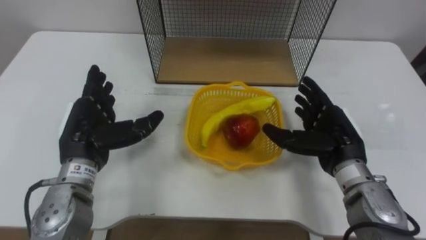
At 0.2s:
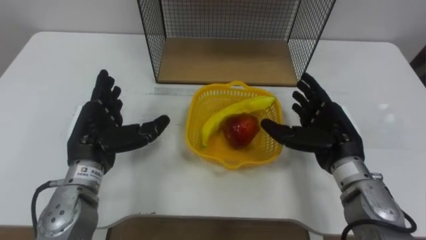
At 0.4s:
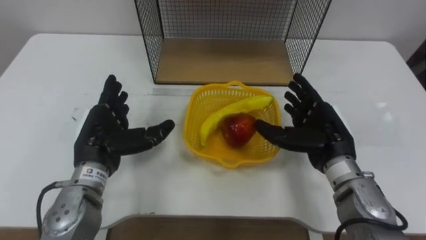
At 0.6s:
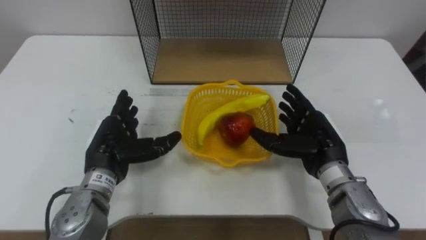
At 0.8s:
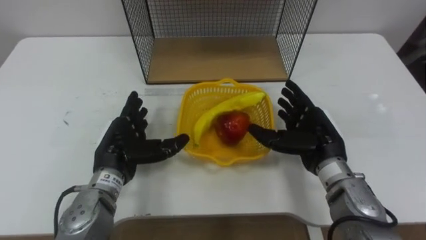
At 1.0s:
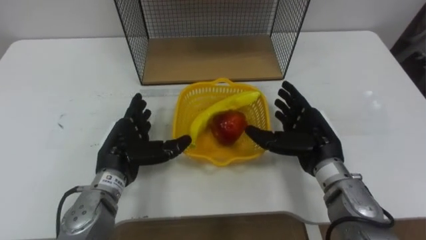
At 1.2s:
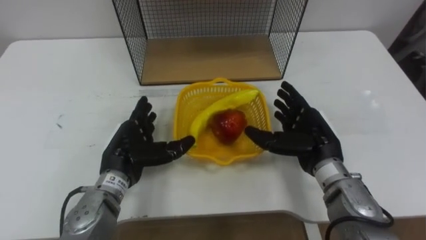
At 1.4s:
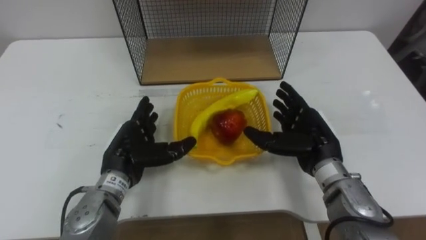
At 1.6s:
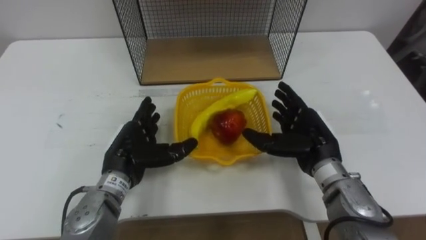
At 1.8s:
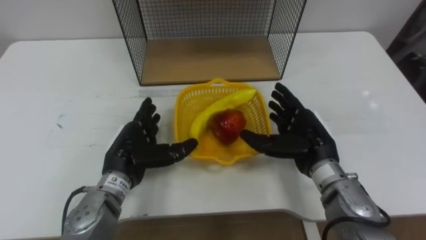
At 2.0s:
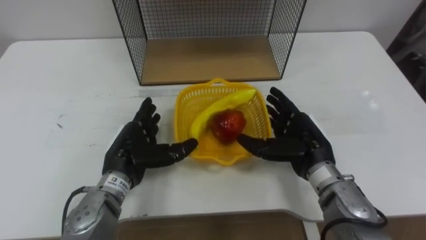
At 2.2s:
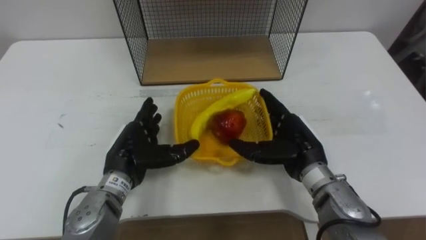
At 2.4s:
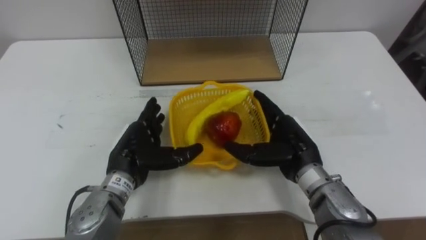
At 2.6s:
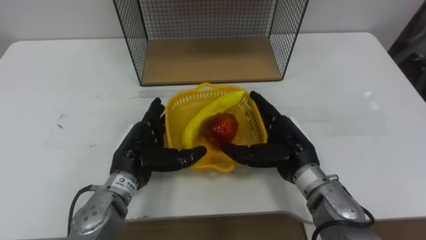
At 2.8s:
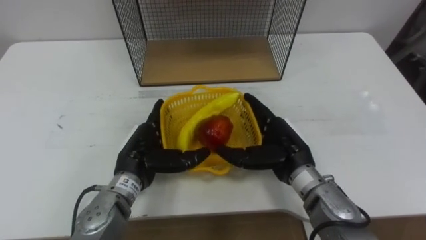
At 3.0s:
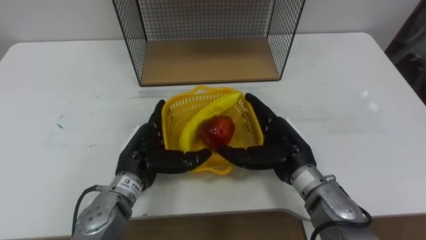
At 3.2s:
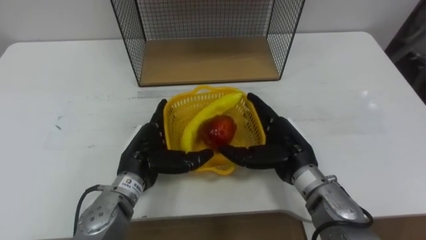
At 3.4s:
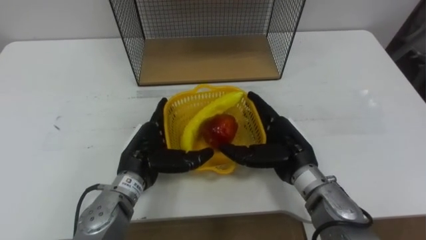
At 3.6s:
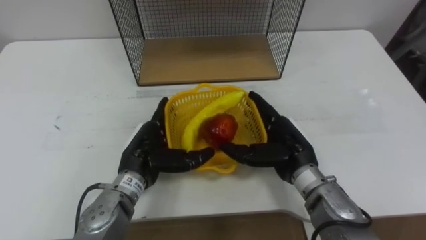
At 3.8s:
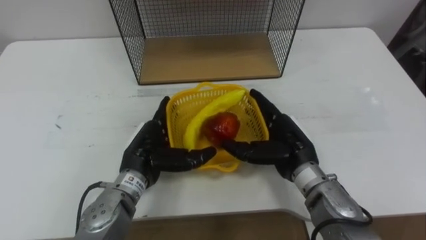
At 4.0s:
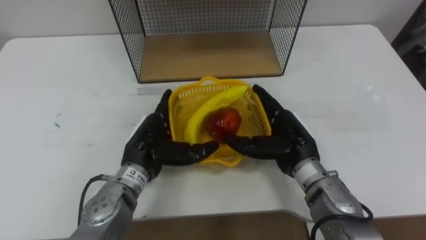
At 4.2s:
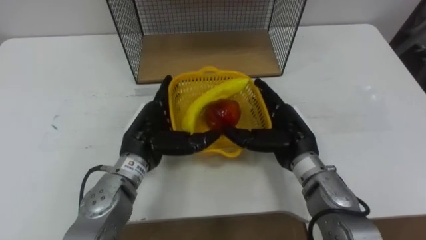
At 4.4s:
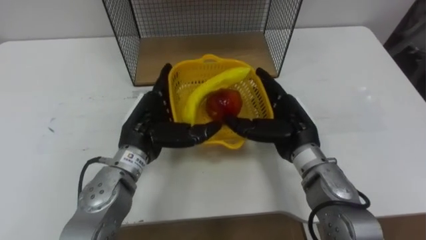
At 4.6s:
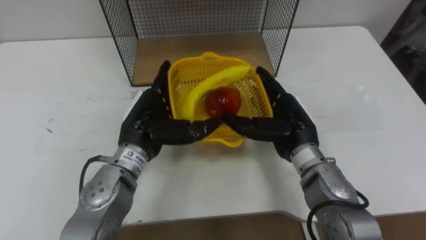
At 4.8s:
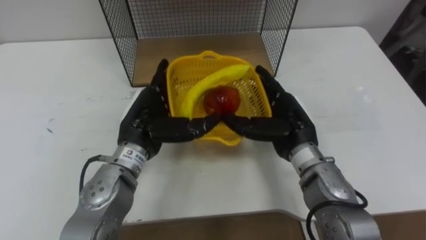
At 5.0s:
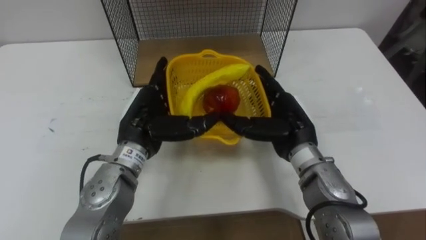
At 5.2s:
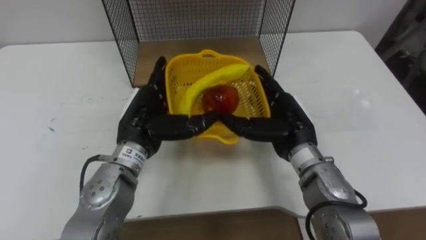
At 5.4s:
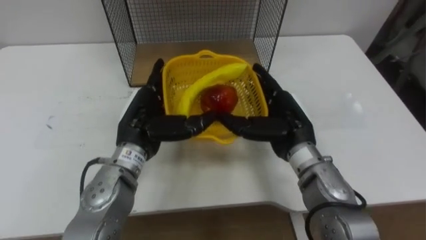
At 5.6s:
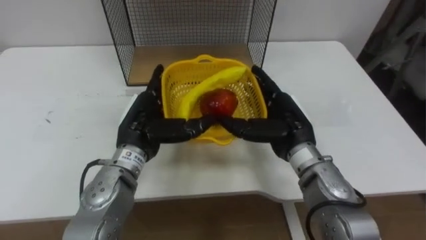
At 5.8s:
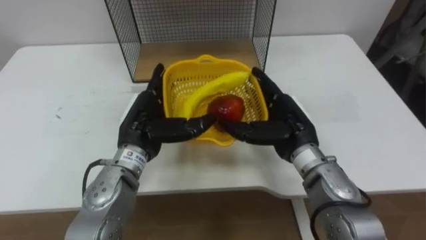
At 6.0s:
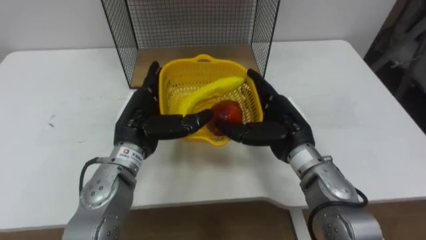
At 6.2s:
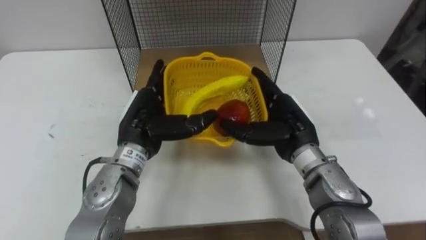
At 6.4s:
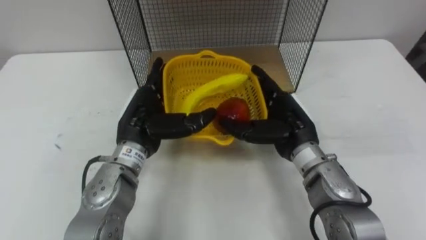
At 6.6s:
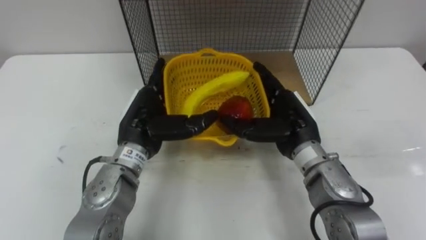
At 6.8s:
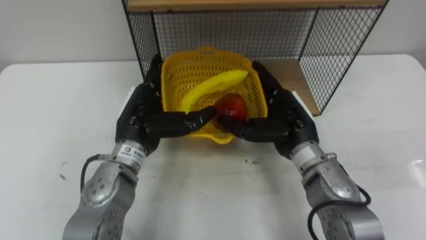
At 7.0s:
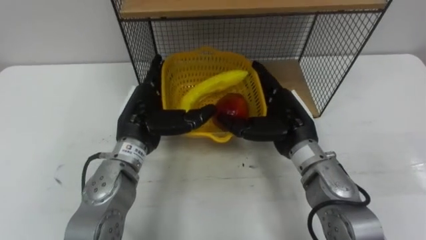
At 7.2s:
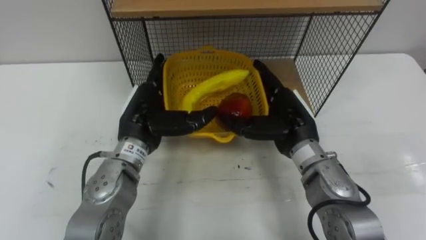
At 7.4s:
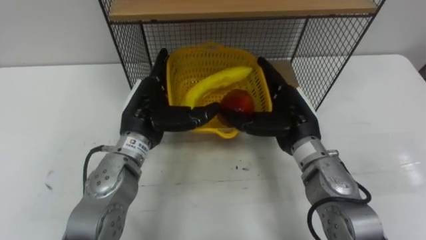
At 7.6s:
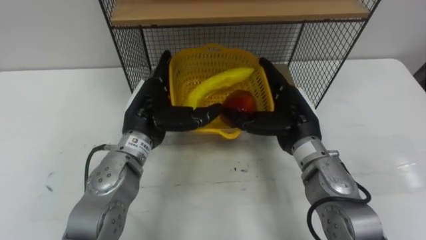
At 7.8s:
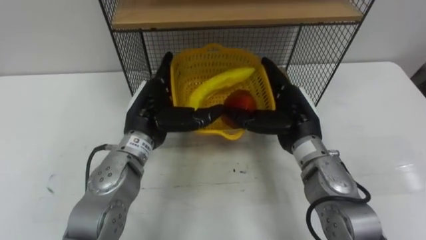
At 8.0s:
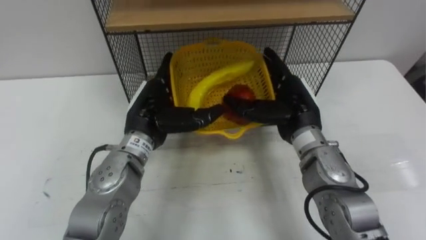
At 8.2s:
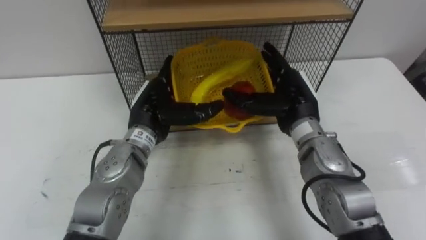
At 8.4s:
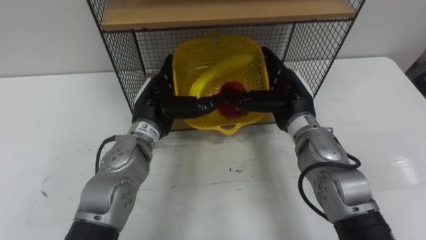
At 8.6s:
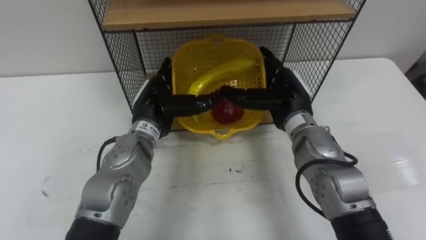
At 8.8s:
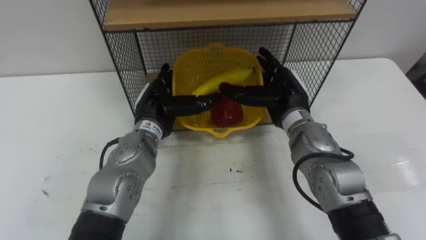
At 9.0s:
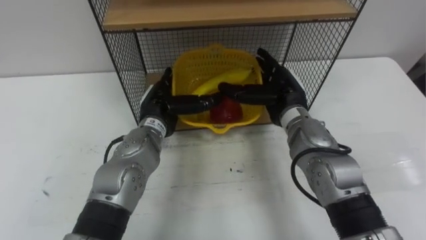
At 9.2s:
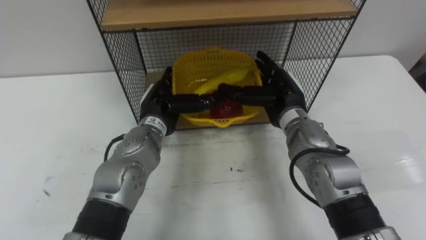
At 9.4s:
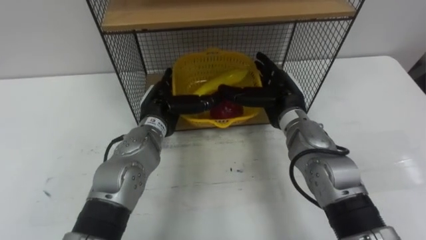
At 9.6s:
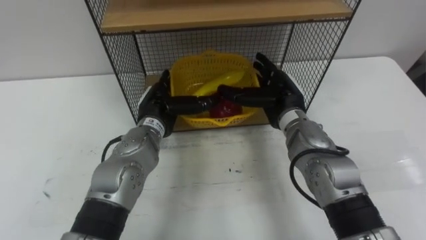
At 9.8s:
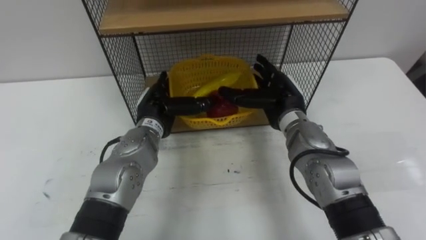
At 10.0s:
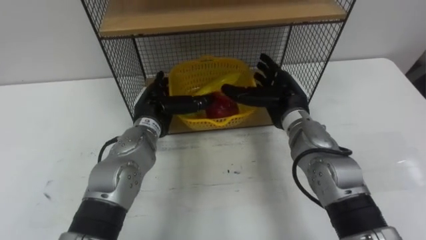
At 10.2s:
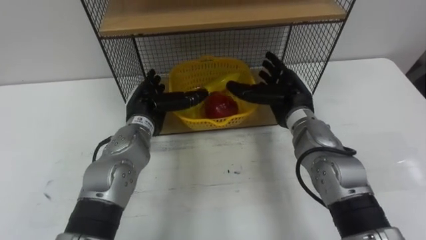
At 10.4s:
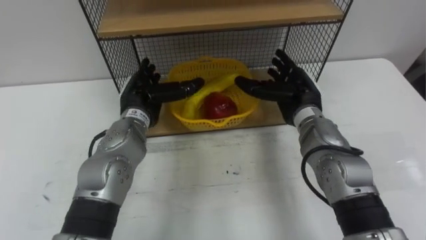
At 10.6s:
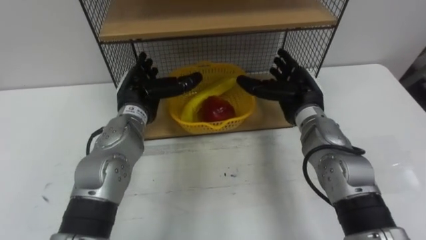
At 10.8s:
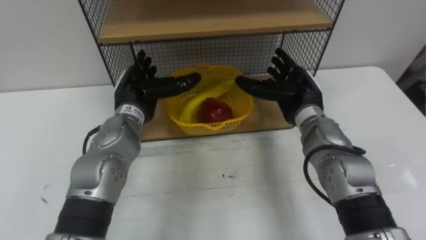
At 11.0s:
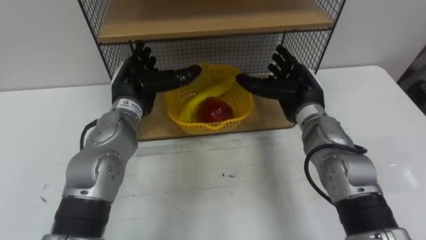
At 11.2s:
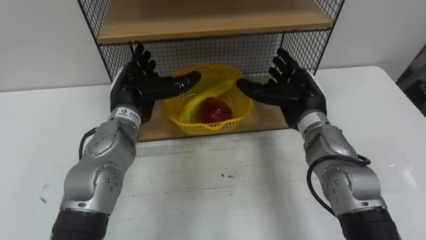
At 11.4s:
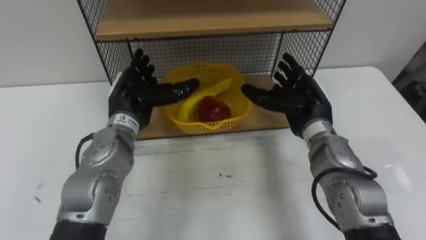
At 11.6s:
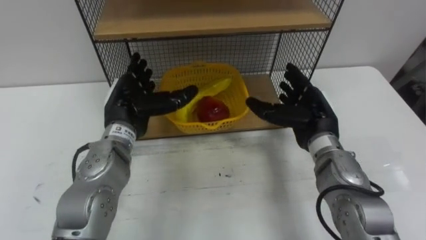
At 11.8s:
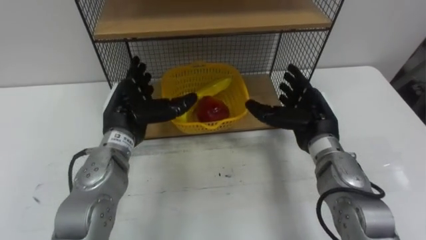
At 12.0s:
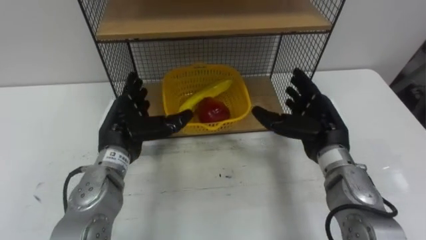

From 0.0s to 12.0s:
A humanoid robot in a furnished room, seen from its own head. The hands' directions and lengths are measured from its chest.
Task of the whole recording: Put the fruit on the table into the basket, then place the basket on the shelf.
From 0.0s to 1.6s: The left hand shifts approximately 10 cm downward and to the right.
From 1.6s to 3.0s: The right hand is displaced to the left by about 5 cm.
From 3.0s to 4.4s: The left hand is displaced upward by some 5 cm.
From 7.6s to 9.0s: The right hand shifts roughly 5 cm forward; the left hand shifts by roughly 5 cm.
From 10.4s to 12.0s: The hands both shift backward by some 5 cm.

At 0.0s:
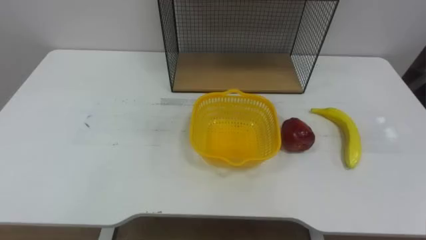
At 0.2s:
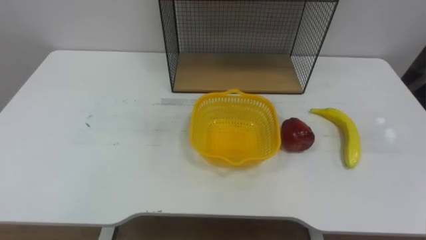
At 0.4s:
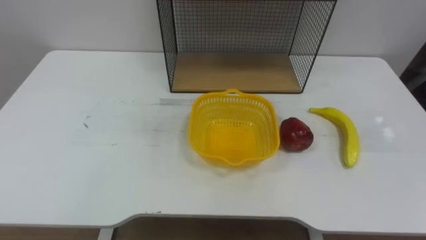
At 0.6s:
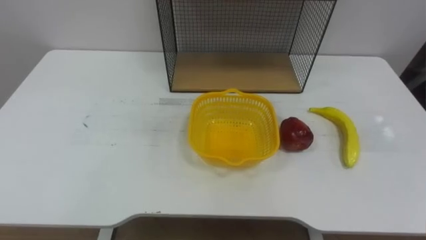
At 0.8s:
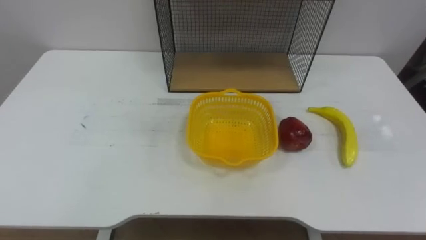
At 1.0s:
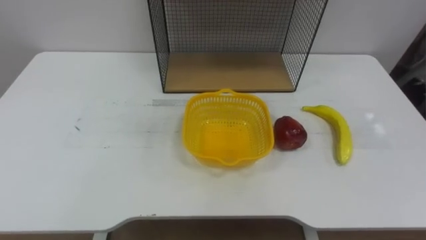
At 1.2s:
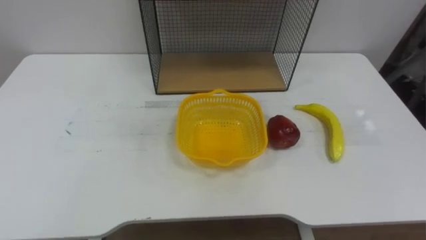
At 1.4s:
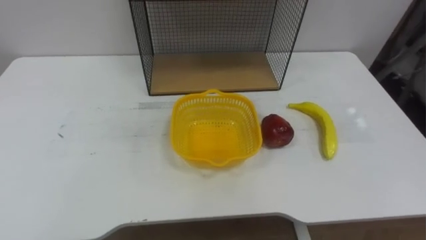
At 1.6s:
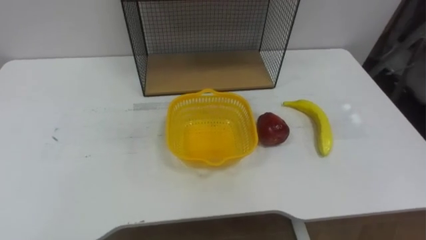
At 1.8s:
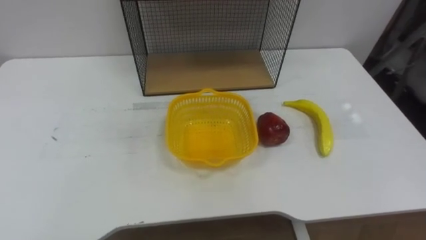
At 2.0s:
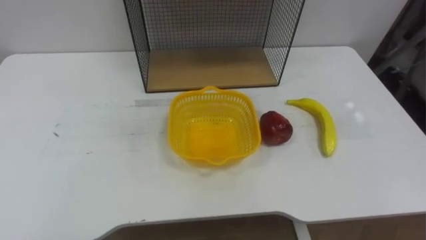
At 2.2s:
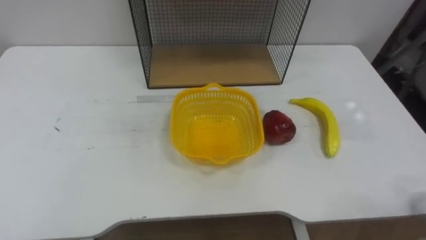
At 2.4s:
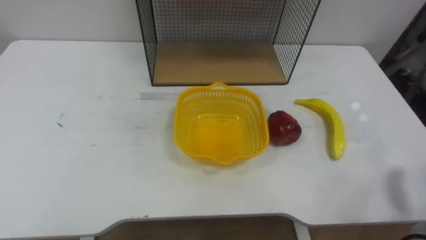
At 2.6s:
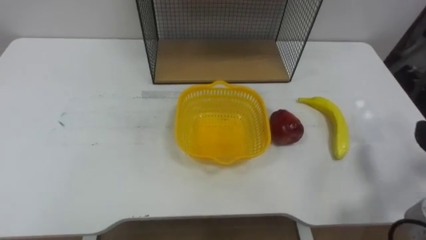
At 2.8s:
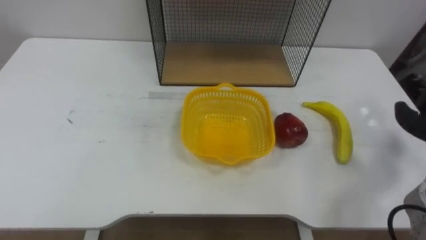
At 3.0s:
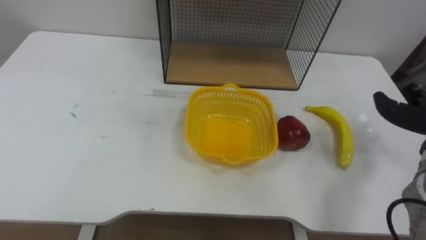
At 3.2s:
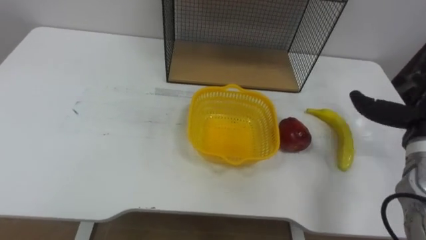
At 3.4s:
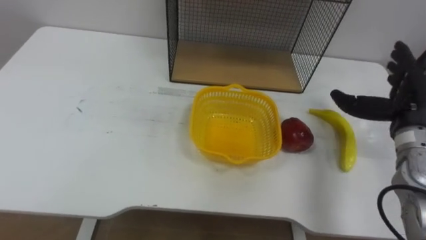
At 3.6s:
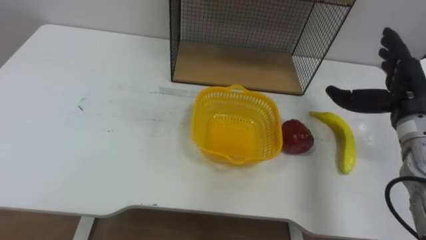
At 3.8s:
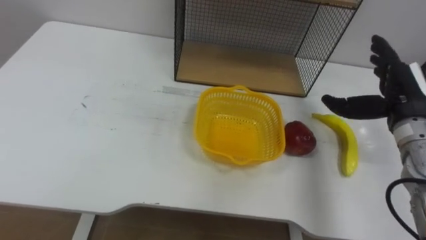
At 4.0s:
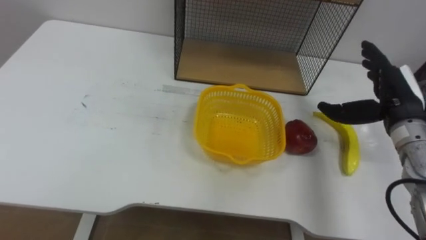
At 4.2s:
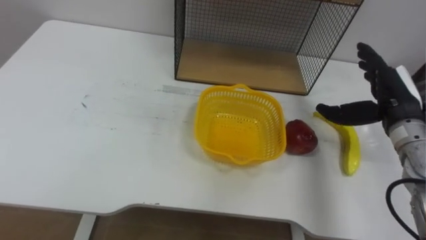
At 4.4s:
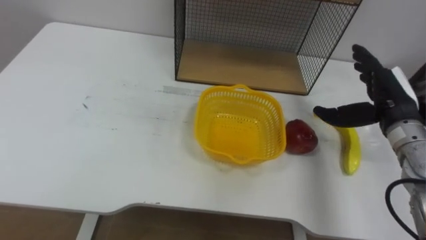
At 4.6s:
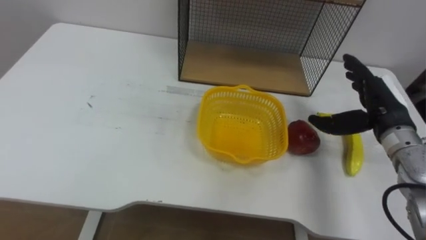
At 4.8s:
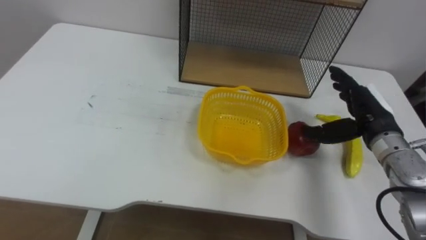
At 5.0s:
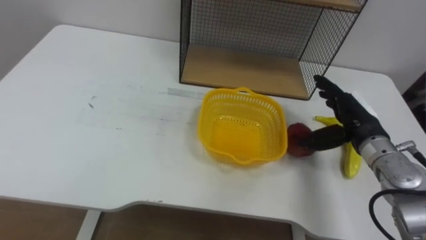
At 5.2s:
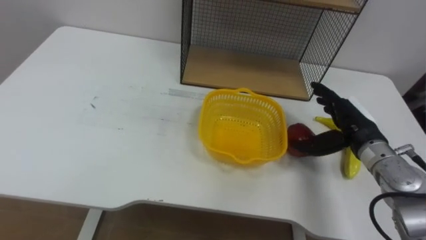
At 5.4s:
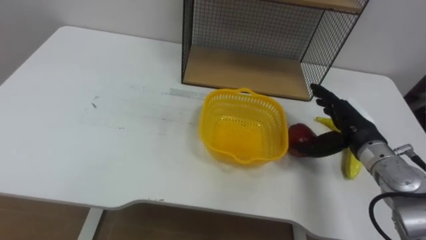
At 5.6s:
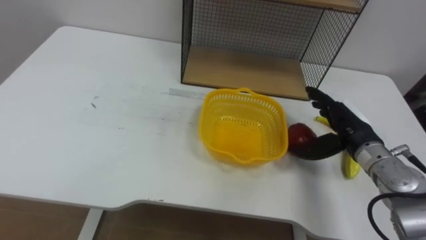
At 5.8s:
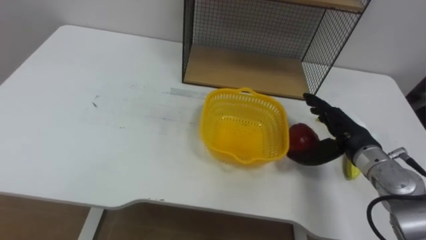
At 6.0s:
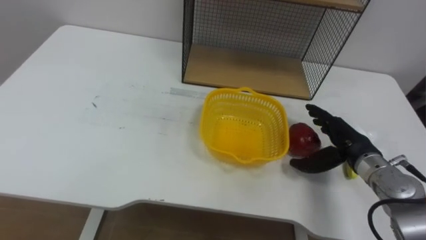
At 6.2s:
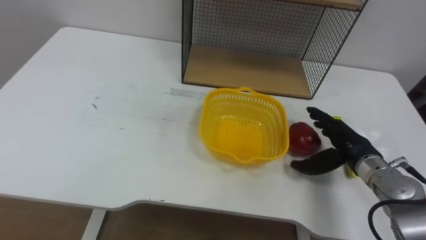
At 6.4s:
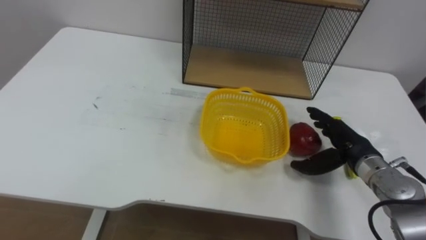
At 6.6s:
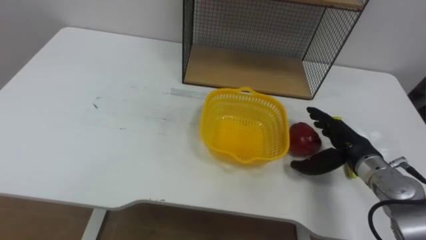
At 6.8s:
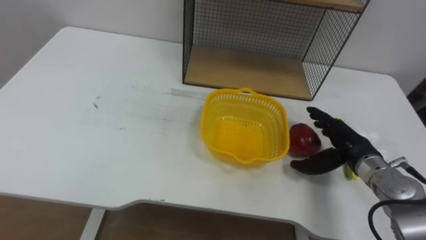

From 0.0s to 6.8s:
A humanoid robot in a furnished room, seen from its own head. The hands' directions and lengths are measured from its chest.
Task of the whole recording: Put the fruit on the table into the basket, then place the basket on the shelf.
From 4.0s to 5.4s: The right hand moves downward, roughly 5 cm.
